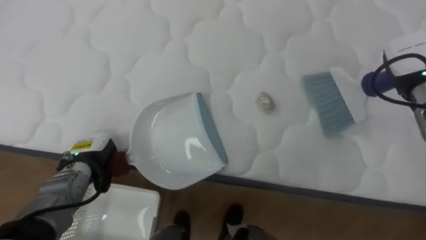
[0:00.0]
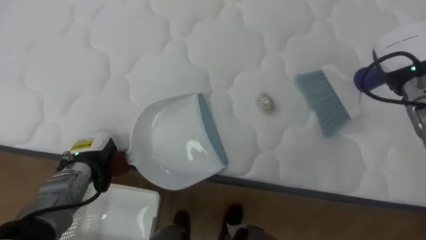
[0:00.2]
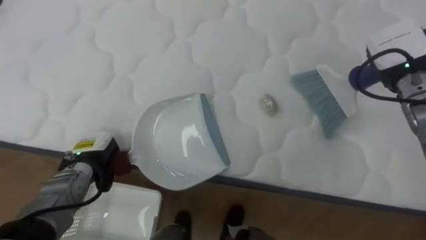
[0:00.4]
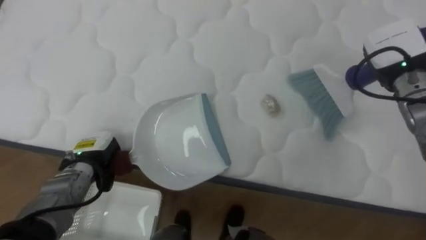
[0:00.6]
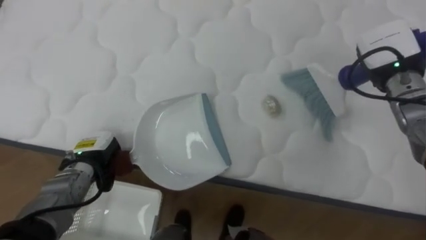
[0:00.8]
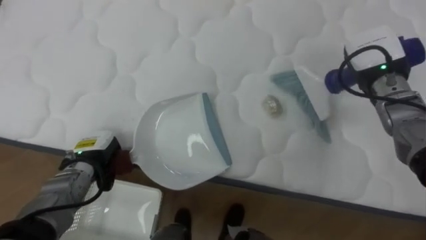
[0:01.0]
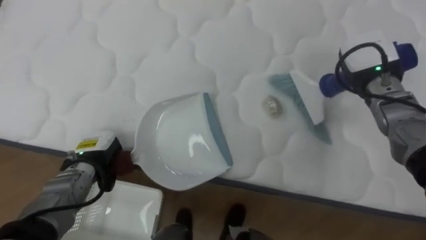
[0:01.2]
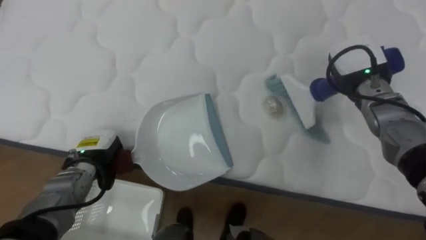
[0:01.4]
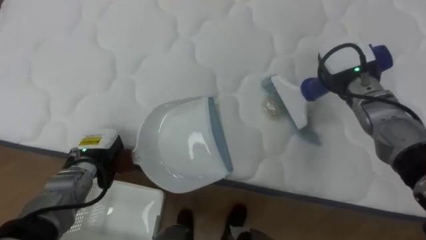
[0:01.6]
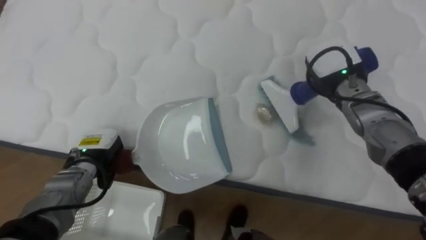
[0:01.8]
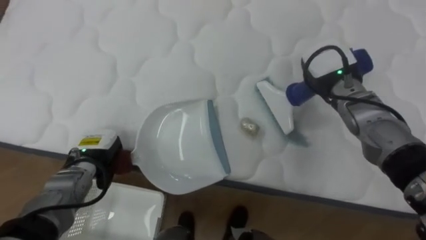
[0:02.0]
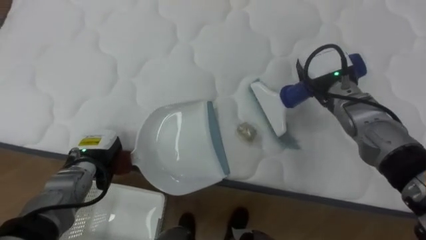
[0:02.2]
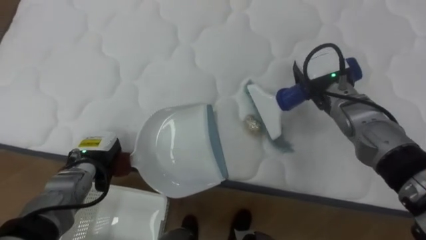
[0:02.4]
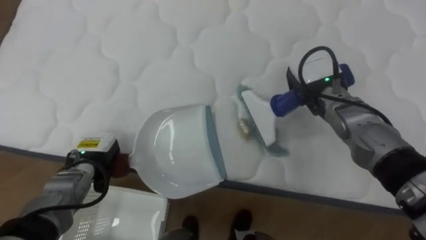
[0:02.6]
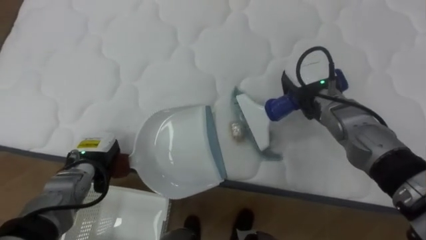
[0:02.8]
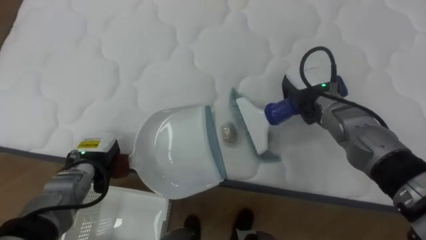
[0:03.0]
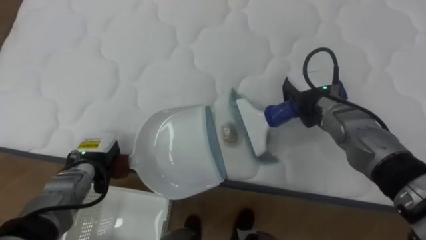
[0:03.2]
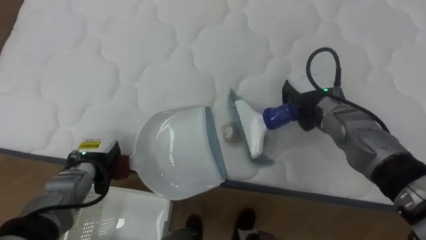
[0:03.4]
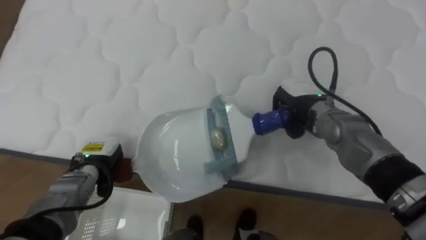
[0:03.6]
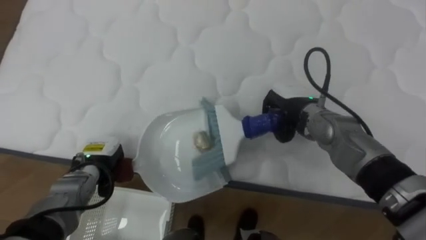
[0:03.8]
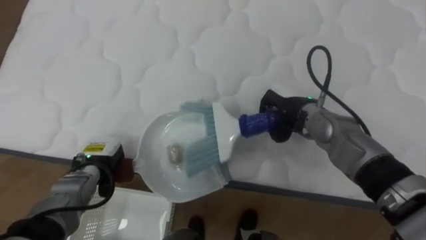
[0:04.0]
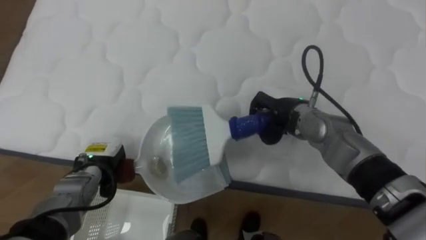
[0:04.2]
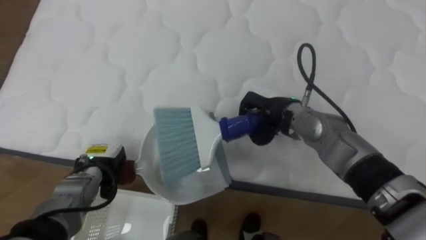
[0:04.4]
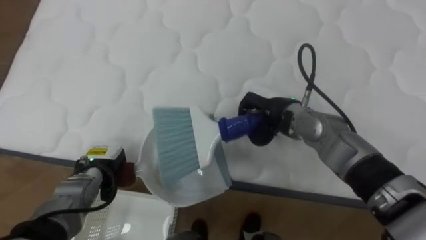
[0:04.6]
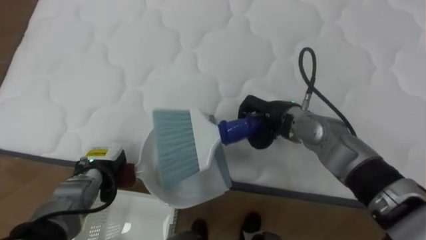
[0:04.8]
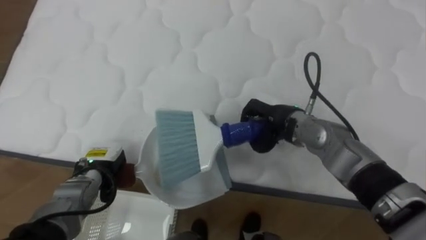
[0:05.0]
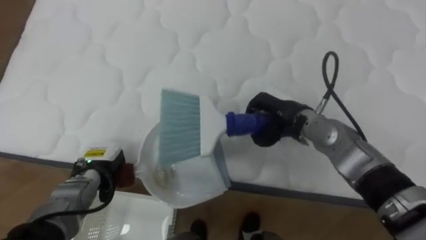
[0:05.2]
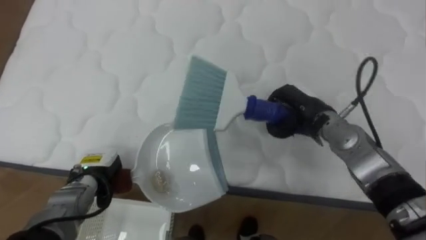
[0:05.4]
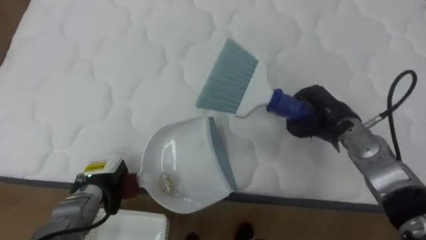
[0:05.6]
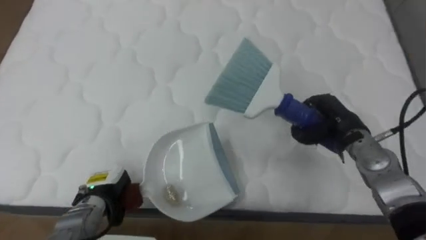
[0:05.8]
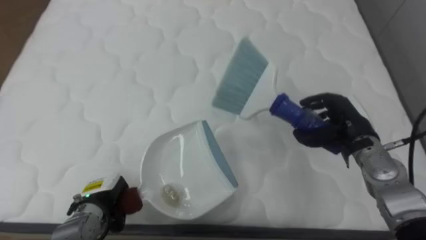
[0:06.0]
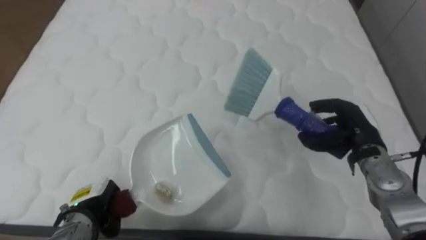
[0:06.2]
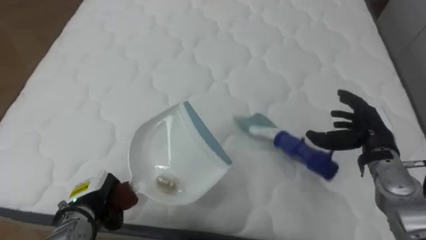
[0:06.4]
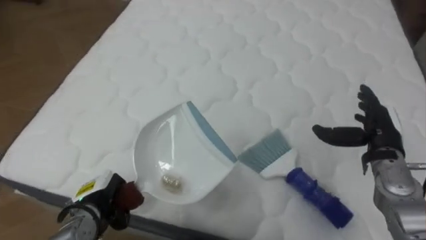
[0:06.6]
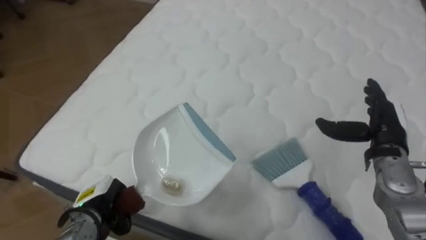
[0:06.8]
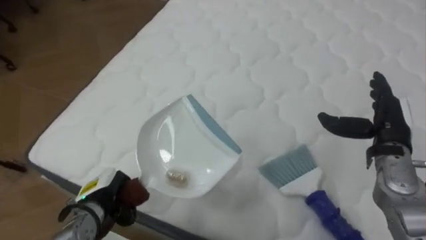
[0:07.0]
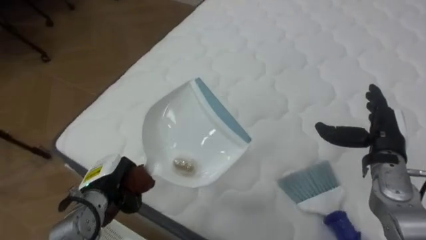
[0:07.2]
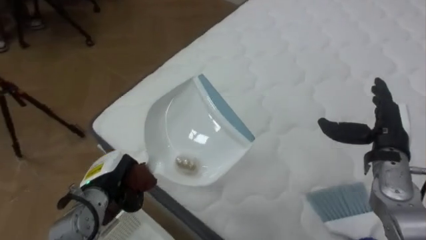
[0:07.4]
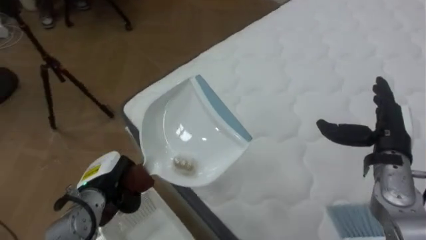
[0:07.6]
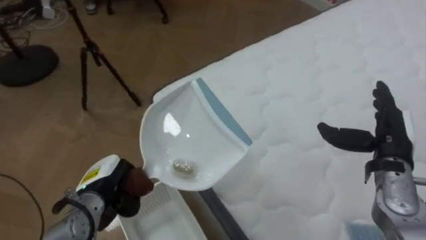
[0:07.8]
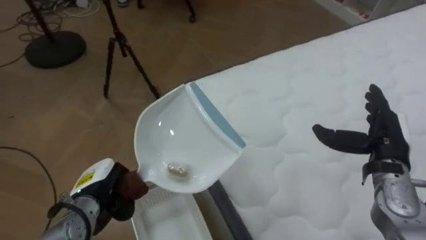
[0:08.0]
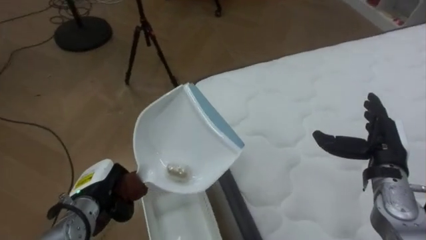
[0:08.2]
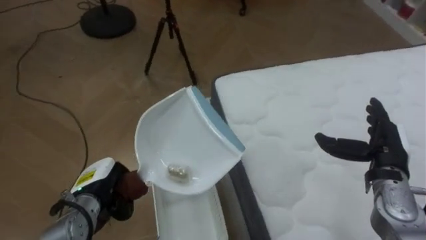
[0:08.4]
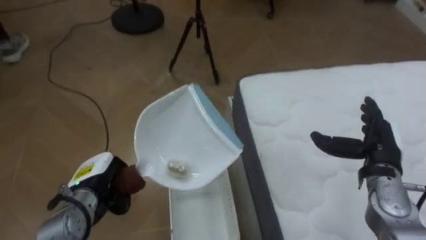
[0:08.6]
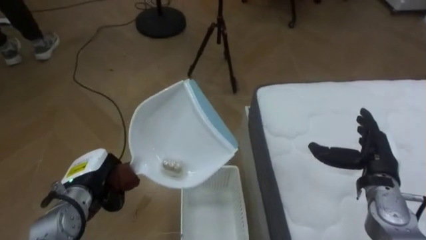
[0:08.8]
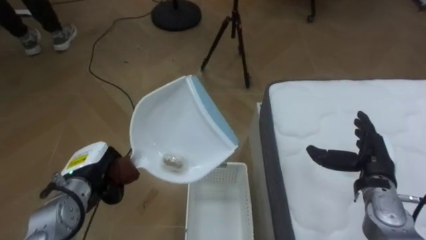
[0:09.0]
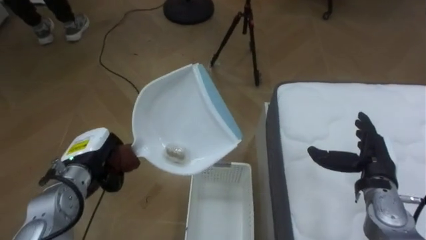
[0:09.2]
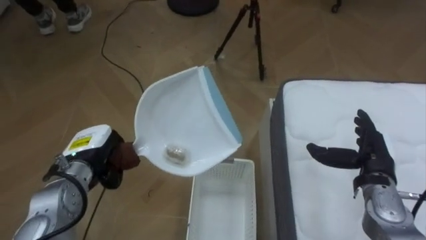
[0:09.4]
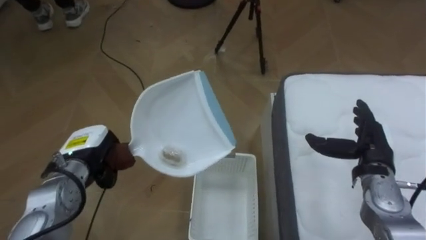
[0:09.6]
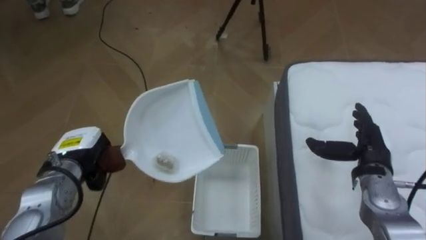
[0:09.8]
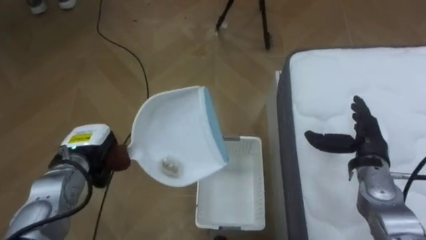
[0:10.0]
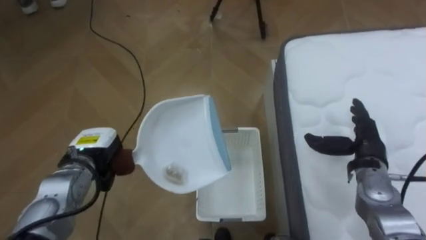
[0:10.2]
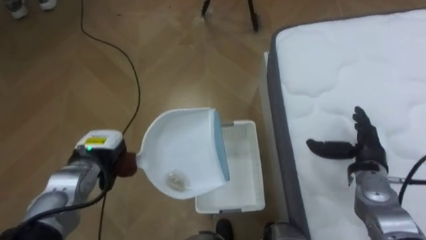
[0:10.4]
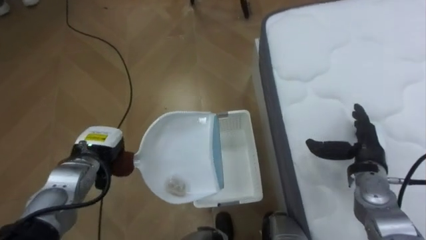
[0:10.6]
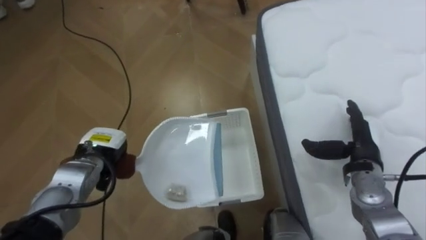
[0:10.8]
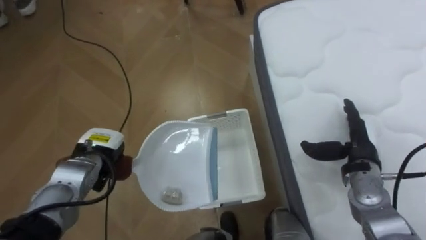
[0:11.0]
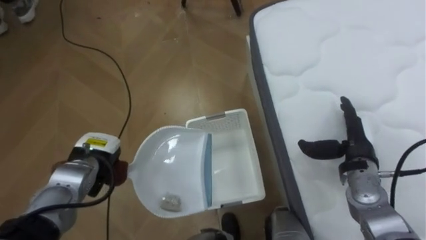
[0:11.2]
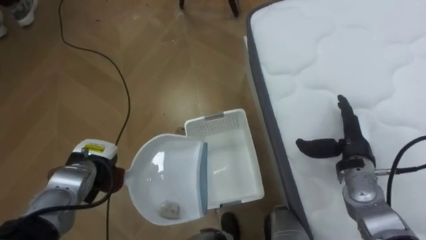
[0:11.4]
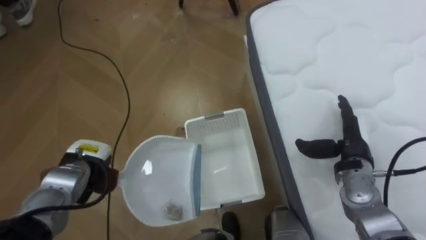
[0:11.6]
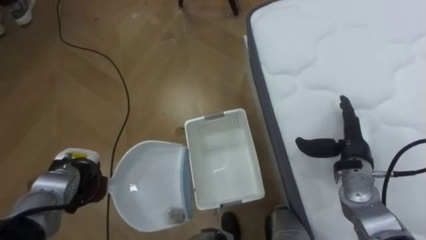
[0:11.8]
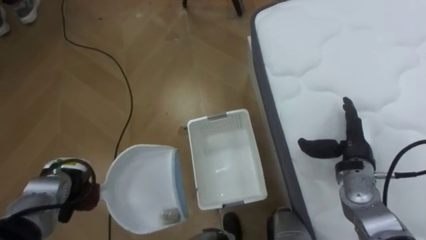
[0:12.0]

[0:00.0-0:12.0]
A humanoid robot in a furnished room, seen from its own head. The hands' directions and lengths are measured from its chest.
Task of the whole recording: Pick up the brush on your right and the dustpan on your left. Use the brush to sweep the crumpled paper on the bed into the dustpan, then turn left and empty it into the basket.
0:00.0 to 0:01.6: The right hand travels to the left by approximately 10 cm.
0:01.6 to 0:03.0: The right hand heads to the left, covering about 5 cm.
0:03.0 to 0:04.4: The right hand is displaced to the left by some 5 cm.
0:04.4 to 0:06.0: The right hand travels to the right by some 15 cm. The left hand goes roughly 5 cm backward.
0:06.0 to 0:07.6: The robot rotates some 45 degrees to its left. The right hand ends up roughly 5 cm from where it was, and opens up, while the left hand travels upward by some 5 cm.
0:07.6 to 0:09.0: The robot's body swings approximately 40 degrees to its left. The right hand heads downward, covering approximately 5 cm.
0:10.4 to 0:12.0: The left hand shifts roughly 5 cm to the left.

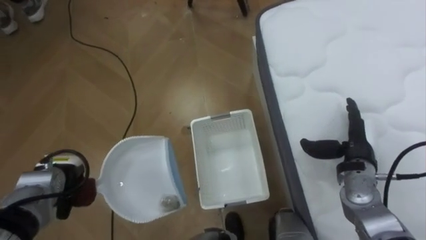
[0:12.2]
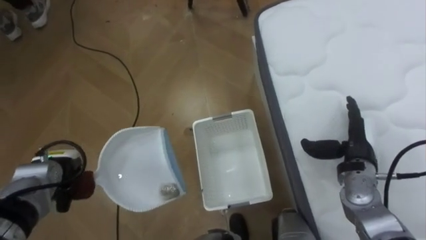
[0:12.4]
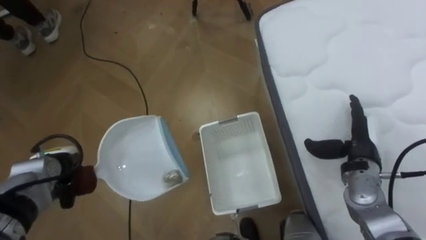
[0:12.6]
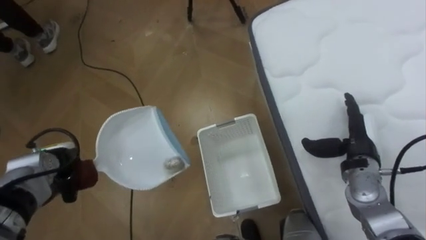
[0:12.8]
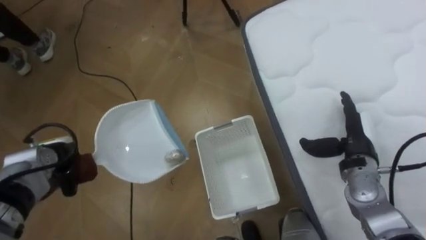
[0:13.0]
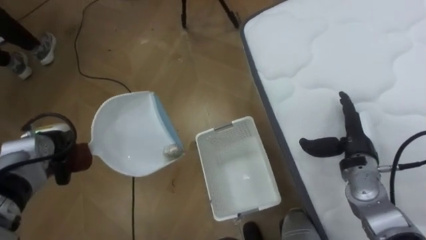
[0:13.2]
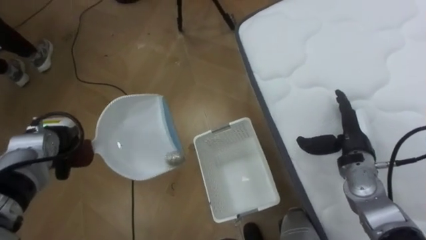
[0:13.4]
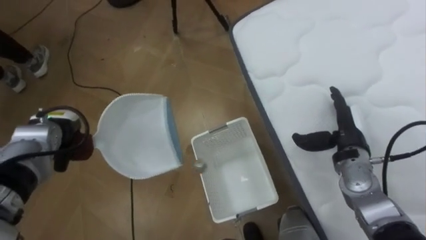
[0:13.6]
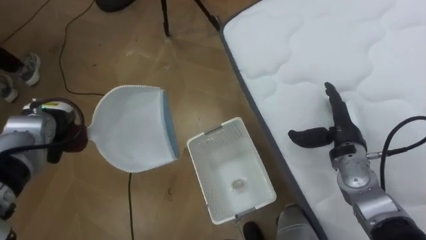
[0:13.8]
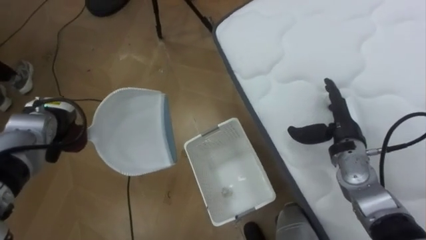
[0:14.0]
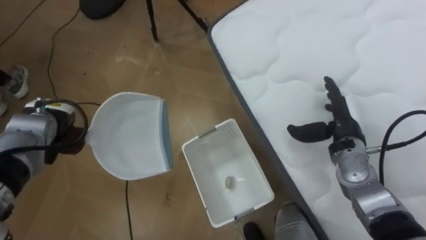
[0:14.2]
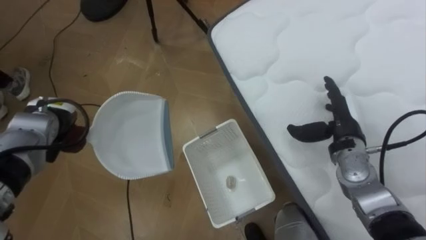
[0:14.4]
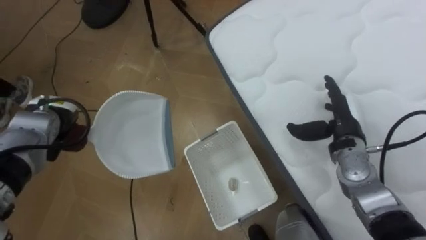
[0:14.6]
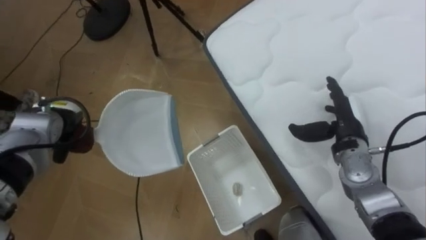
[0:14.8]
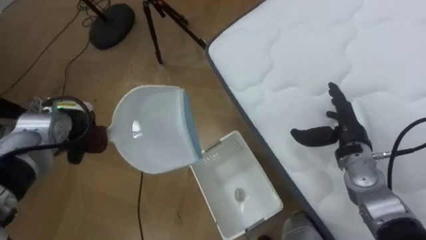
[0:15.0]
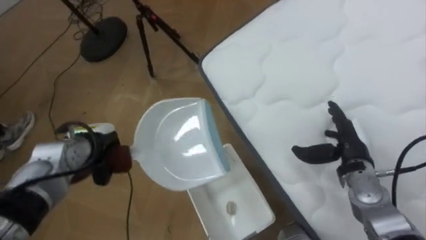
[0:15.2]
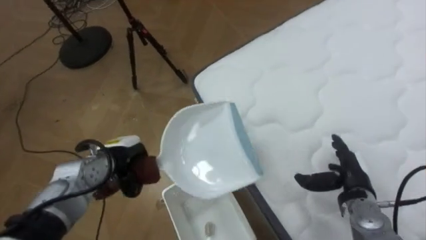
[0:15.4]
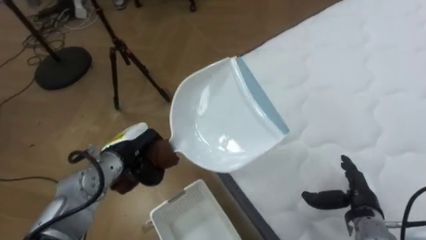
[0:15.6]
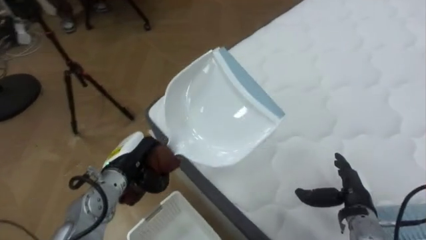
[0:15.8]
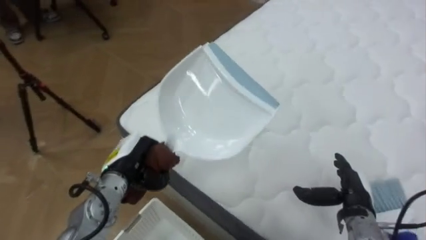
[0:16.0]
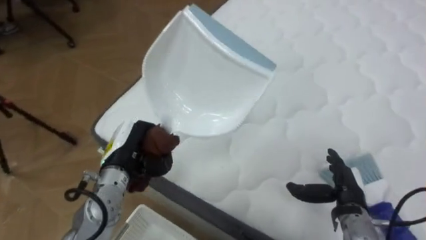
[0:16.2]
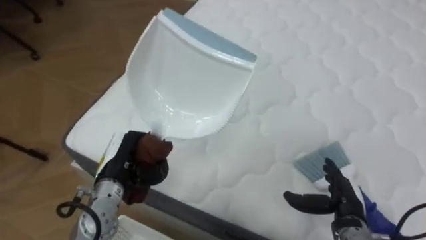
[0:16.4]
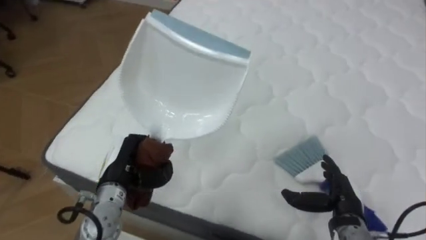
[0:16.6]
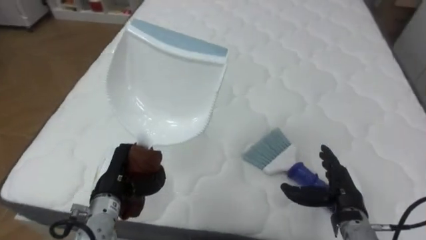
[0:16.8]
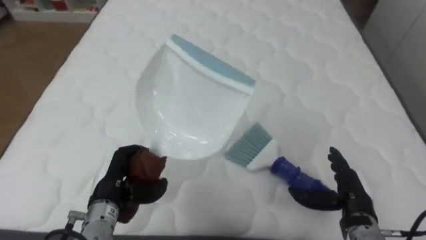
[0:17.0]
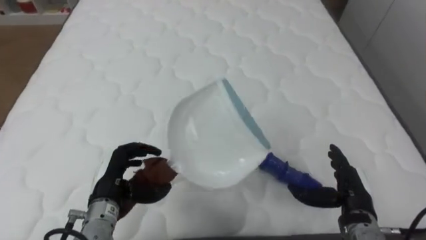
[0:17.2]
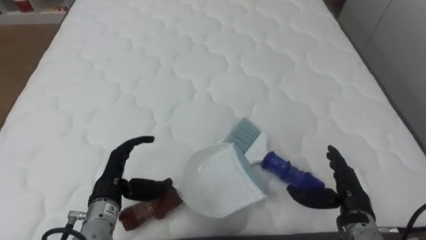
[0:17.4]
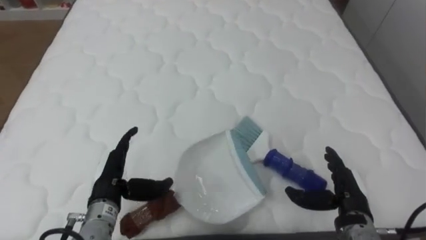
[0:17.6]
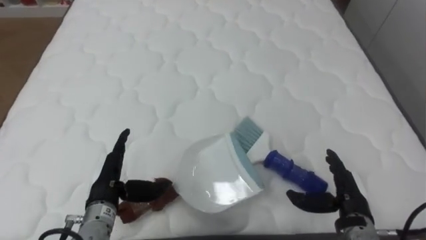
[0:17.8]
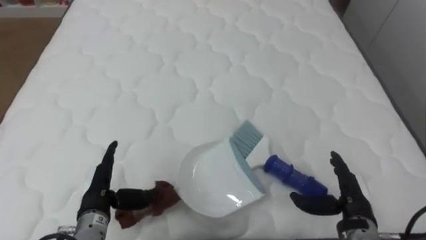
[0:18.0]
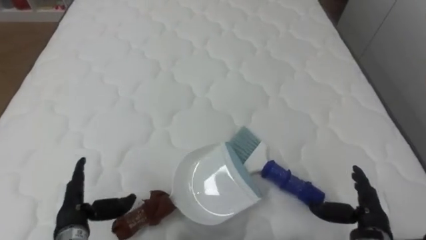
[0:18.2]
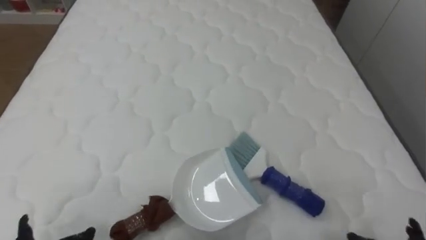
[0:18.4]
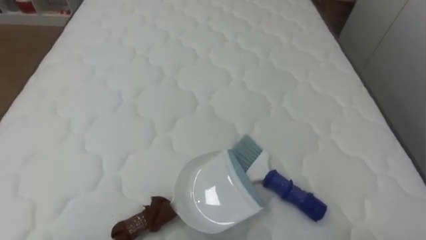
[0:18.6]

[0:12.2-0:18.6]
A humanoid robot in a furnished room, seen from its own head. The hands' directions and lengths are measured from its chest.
Task of the whole recording: Pick up the brush on your right and the dustpan on your left. Use the brush to sweep the crumpled paper on the bed into the dustpan, then turn left and empty it into the basket.
0:12.2 to 0:13.8: The left hand goes about 10 cm upward and forward.
0:13.8 to 0:15.4: The robot rotates roughly 15 degrees to its right. The right hand heads downward and backward, covering roughly 10 cm; the left hand travels to the right and downward by roughly 15 cm.
0:15.4 to 0:17.0: The robot rotates roughly 65 degrees to its right. Both hands travel together backward, about 5 cm.
